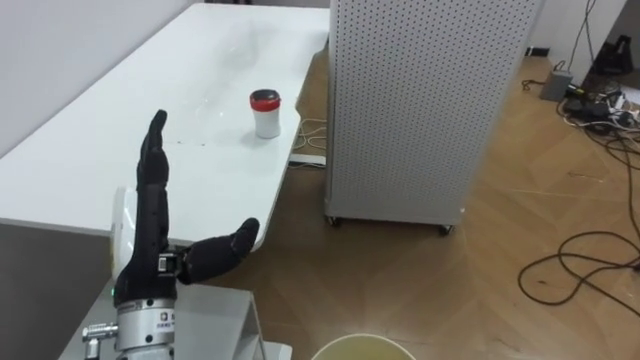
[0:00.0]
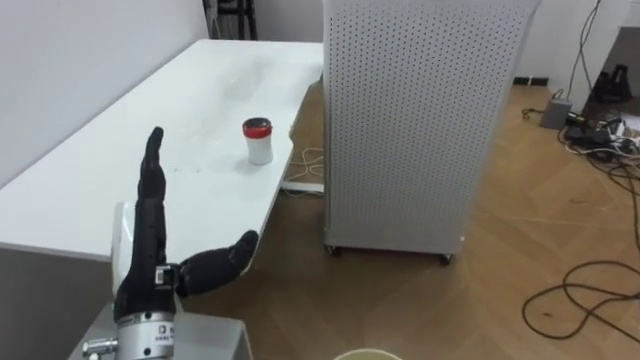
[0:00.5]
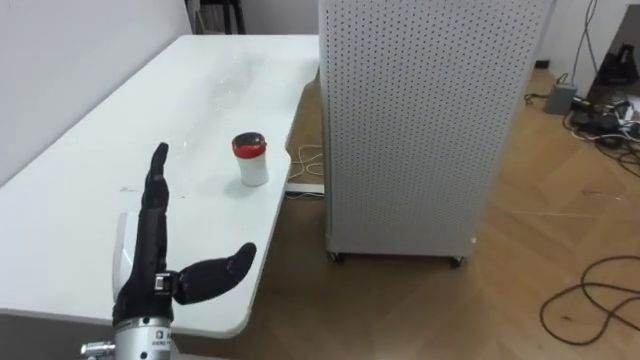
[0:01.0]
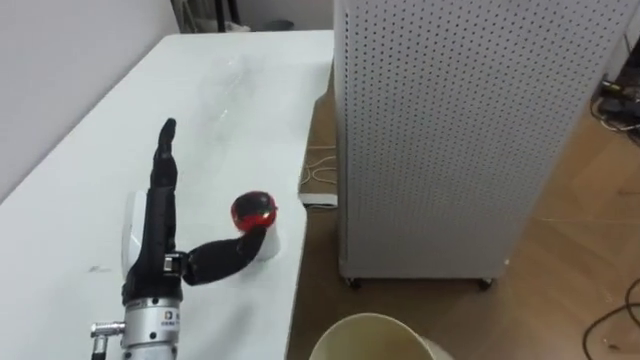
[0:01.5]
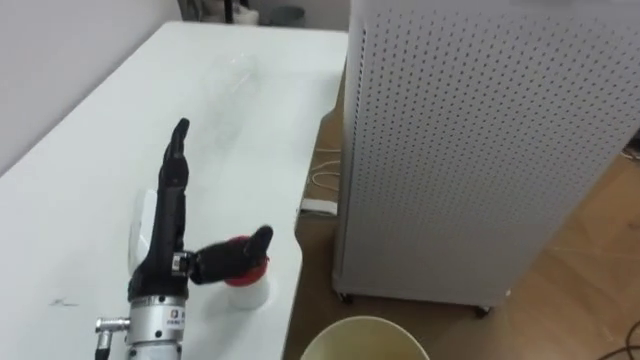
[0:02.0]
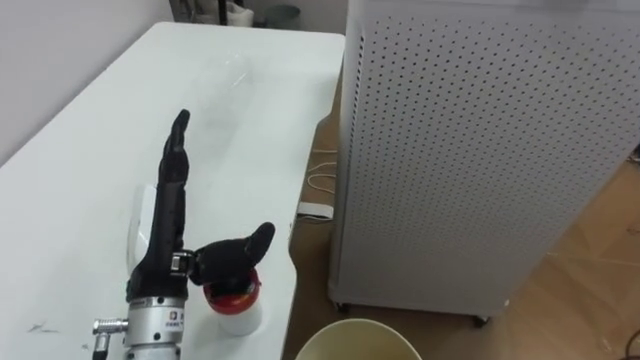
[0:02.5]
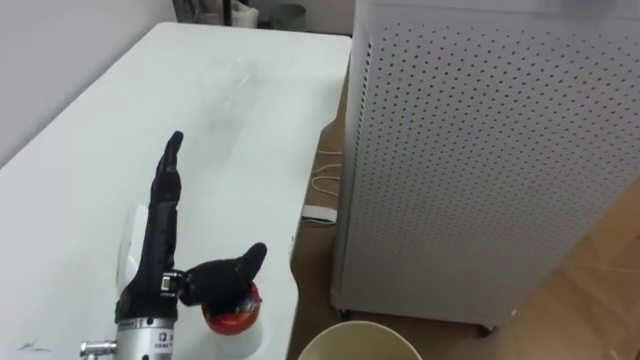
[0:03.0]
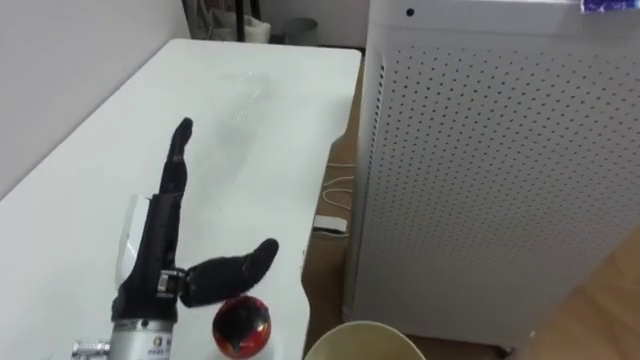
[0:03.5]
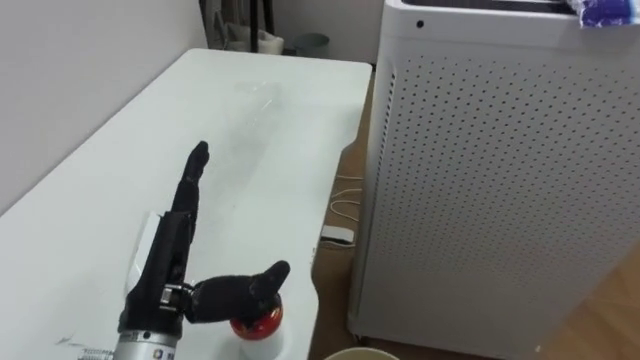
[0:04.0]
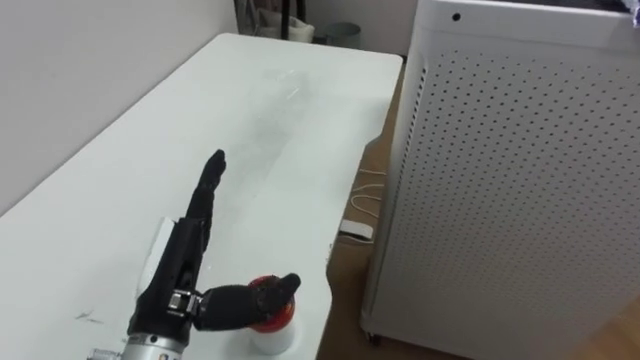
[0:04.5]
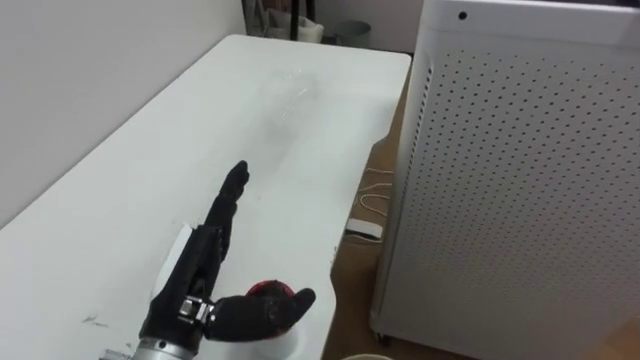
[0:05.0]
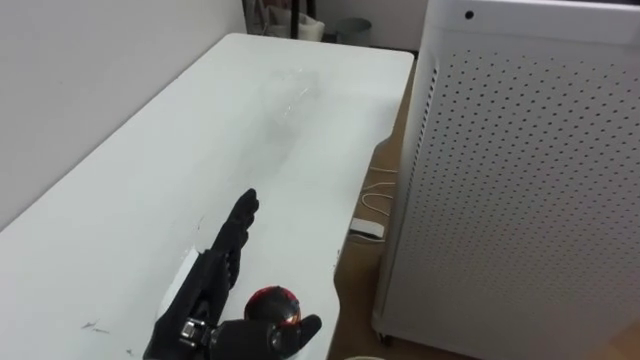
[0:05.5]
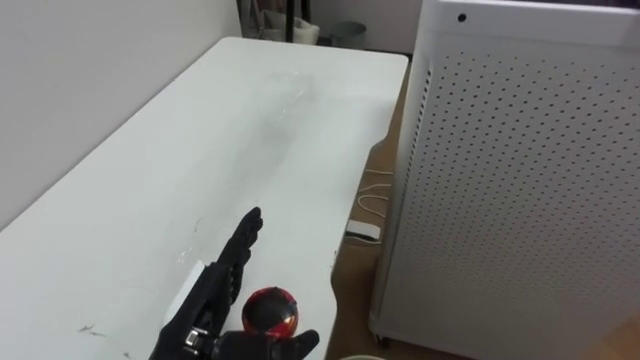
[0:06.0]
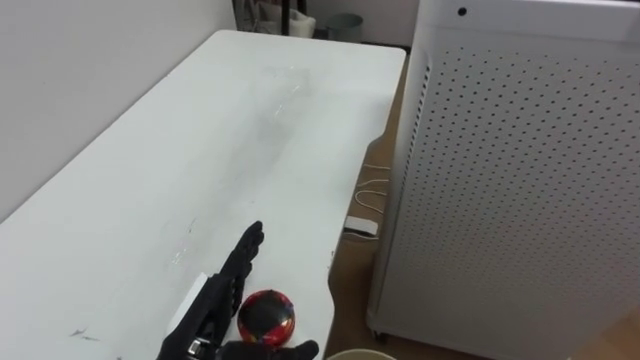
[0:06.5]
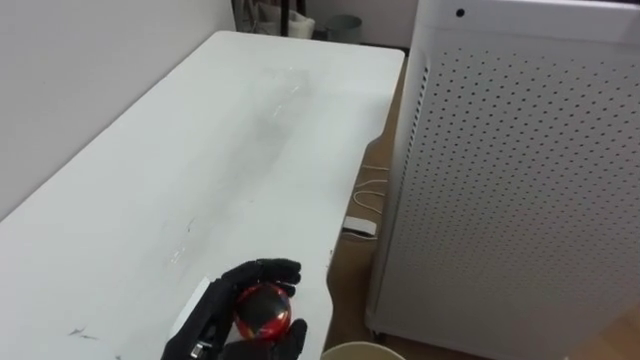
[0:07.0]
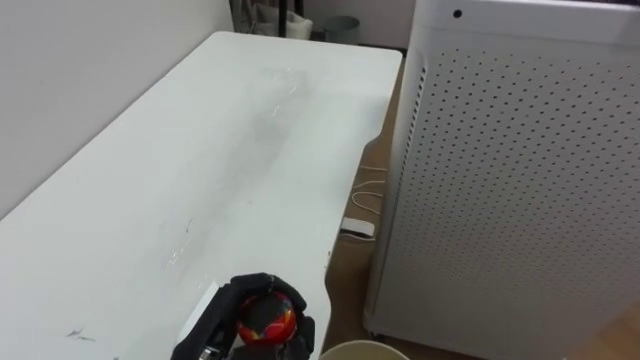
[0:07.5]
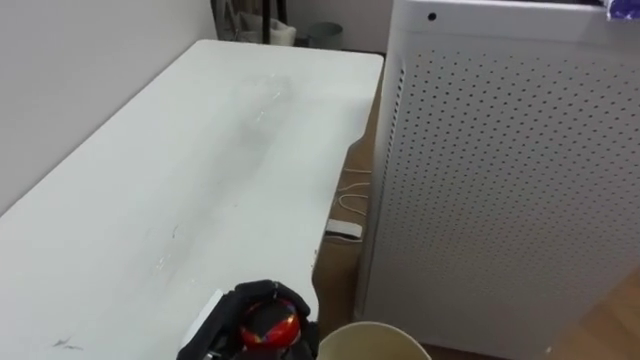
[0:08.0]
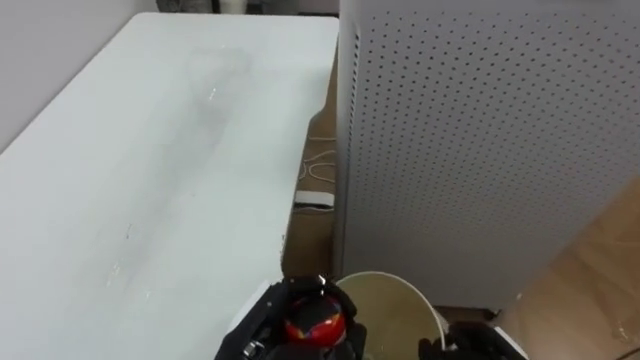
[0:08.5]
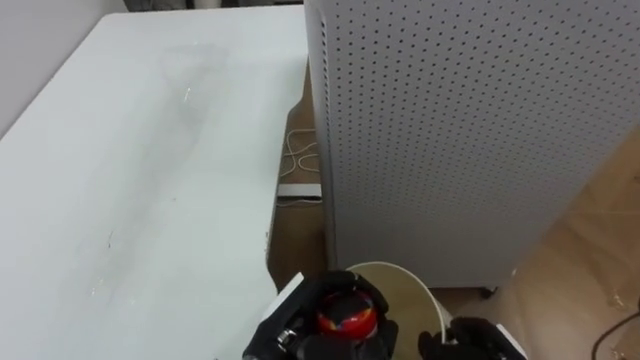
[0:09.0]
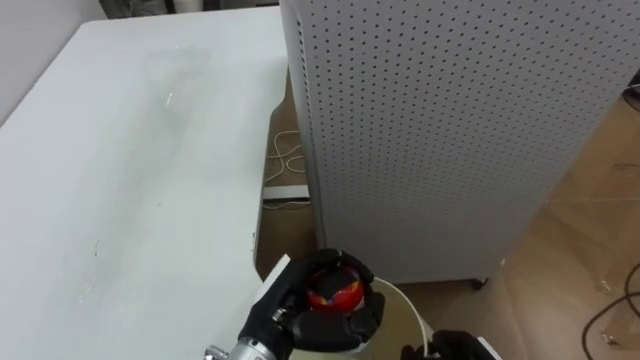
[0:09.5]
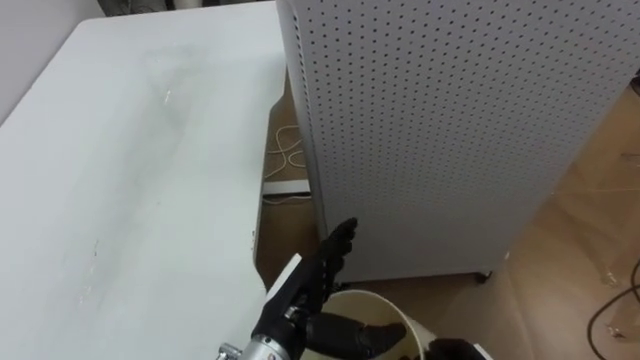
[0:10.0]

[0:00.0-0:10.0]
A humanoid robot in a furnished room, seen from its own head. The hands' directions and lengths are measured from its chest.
Task of the whole recording: Pick up the light blue package, the candy box, and the dark blue package separately, and put them into the trash can held in your right hand.
0:04.0 to 0:06.0: The left hand heads downward, covering about 5 cm.
0:06.0 to 0:08.0: The left hand closes.
0:08.0 to 0:10.0: The left hand moves to the right, some 10 cm, and opens up.

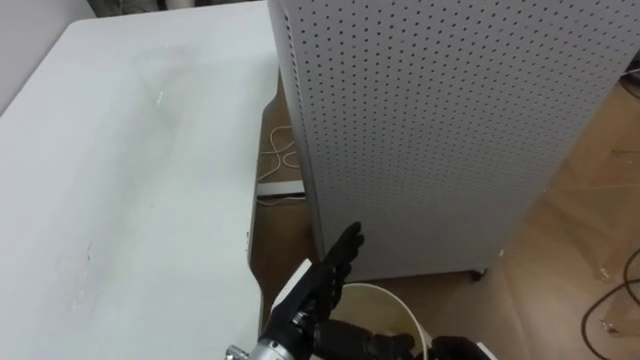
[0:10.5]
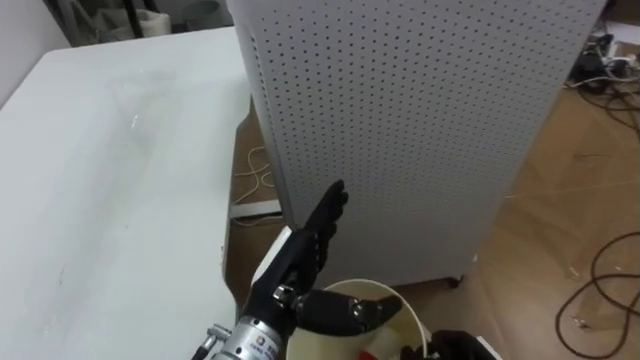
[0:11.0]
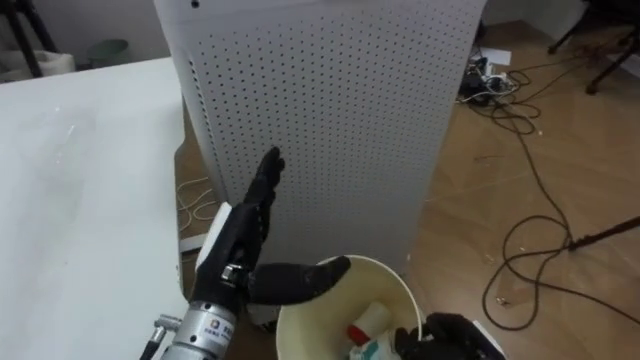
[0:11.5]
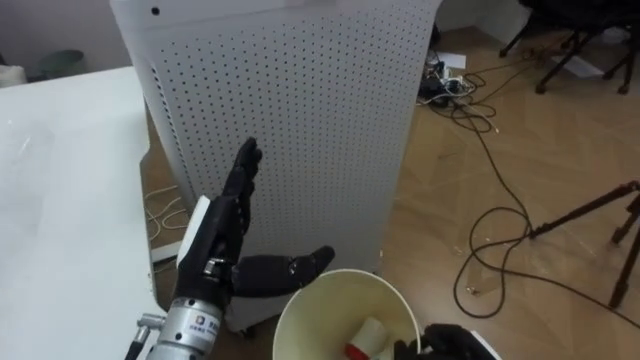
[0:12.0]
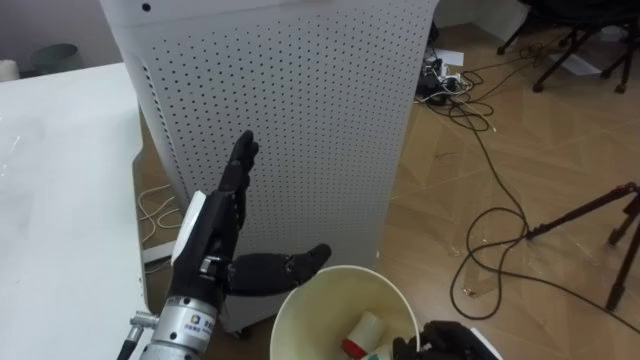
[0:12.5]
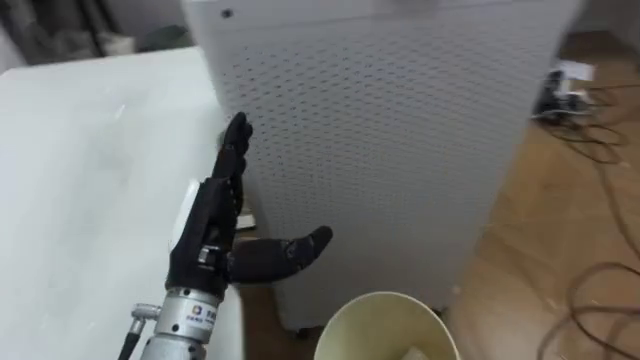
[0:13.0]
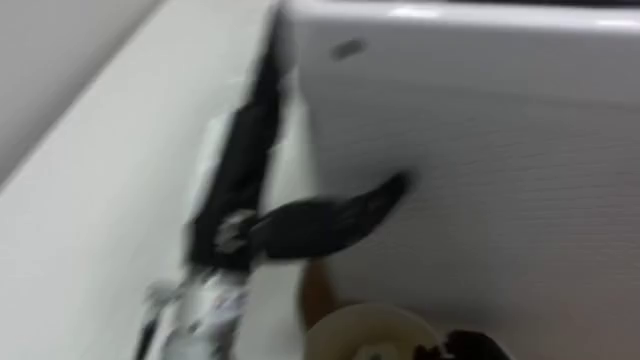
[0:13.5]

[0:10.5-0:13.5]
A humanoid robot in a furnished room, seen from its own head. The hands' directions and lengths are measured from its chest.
Task of the whole recording: Pick up the light blue package, the candy box, and the dark blue package separately, and put them into the trash can held in your right hand.
0:10.5 to 0:12.0: The robot faces approximately 30 degrees further to its right. The left hand shifts about 15 cm to the left and upward.
0:12.0 to 0:13.5: The left hand shifts about 15 cm upward and to the right.

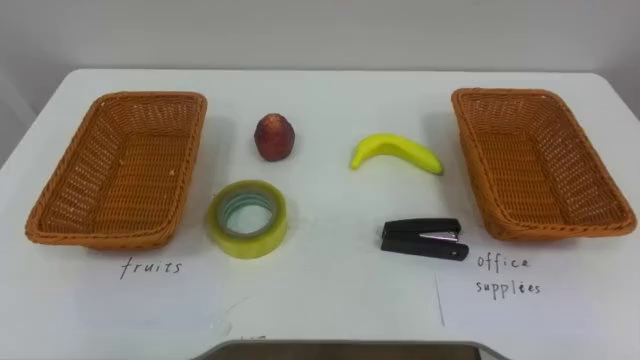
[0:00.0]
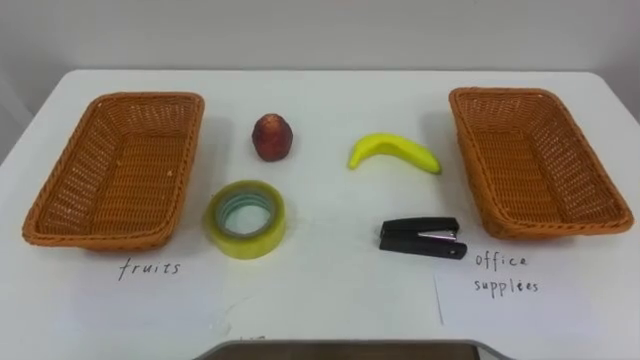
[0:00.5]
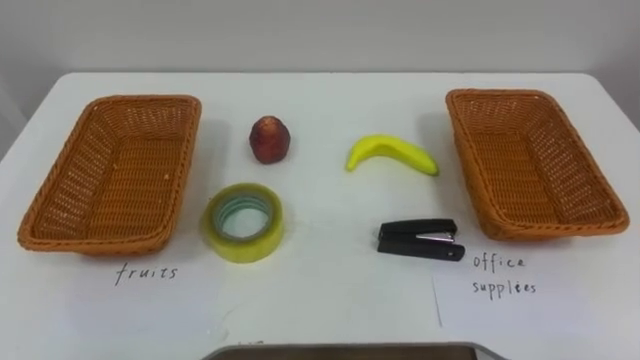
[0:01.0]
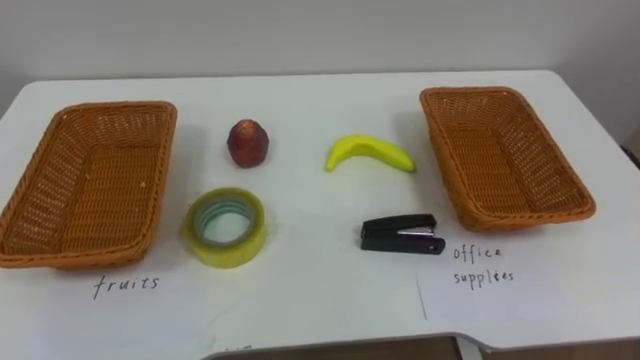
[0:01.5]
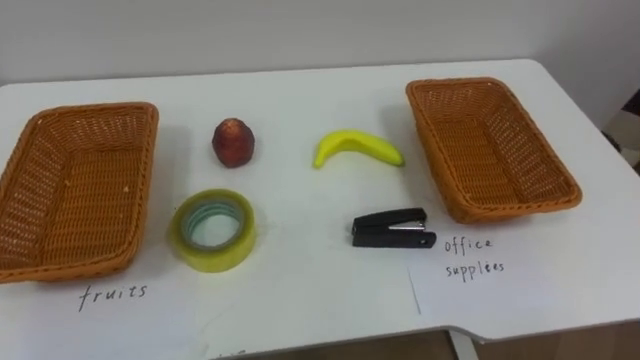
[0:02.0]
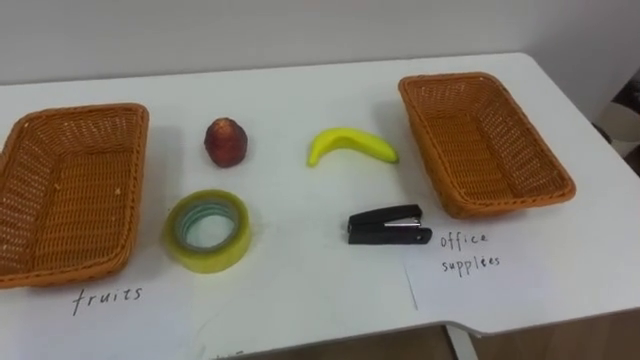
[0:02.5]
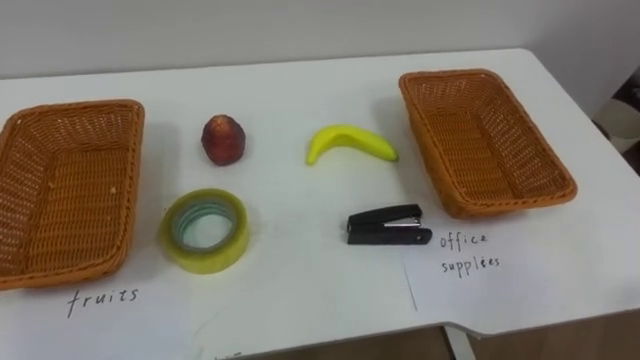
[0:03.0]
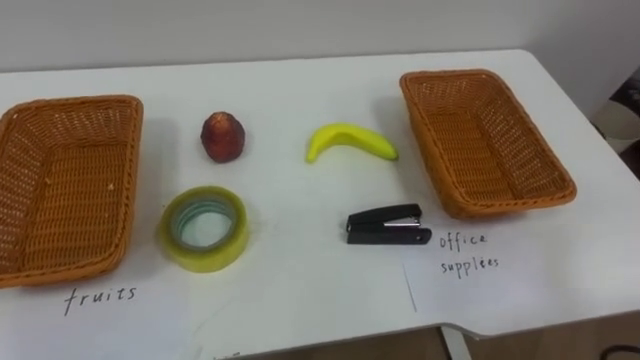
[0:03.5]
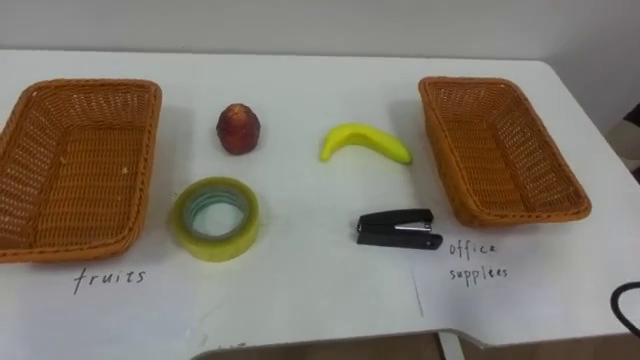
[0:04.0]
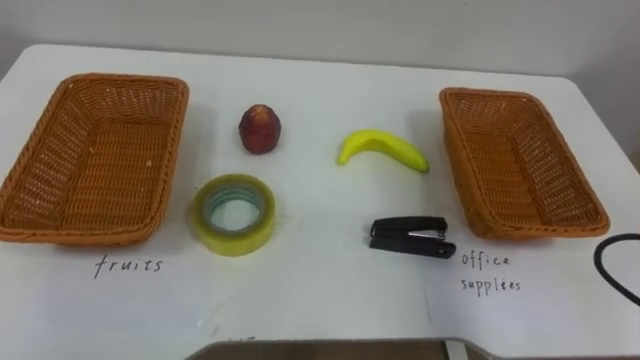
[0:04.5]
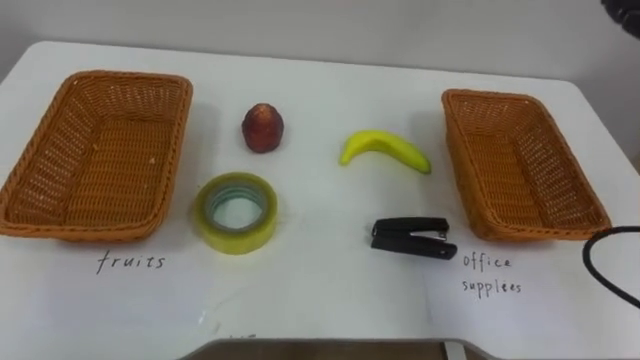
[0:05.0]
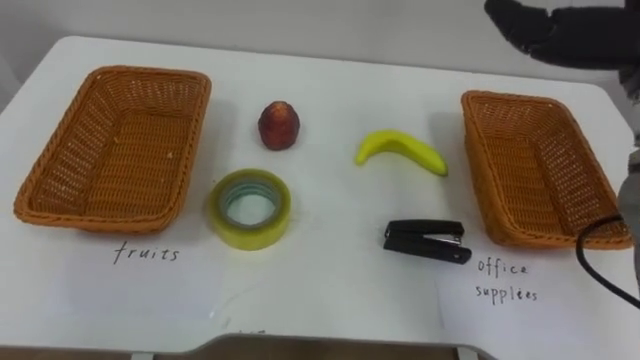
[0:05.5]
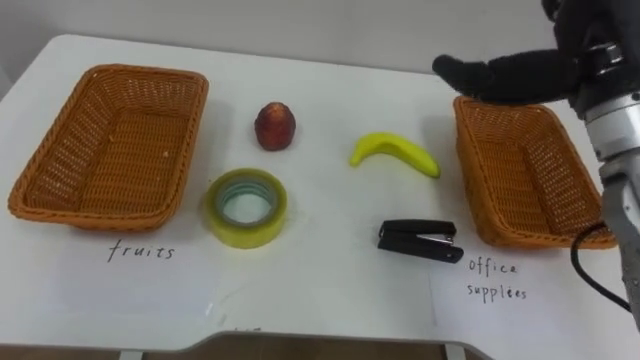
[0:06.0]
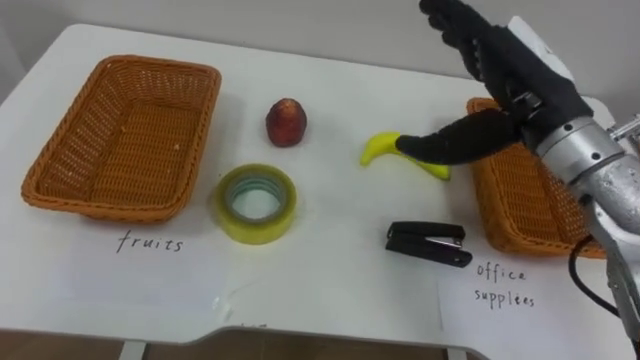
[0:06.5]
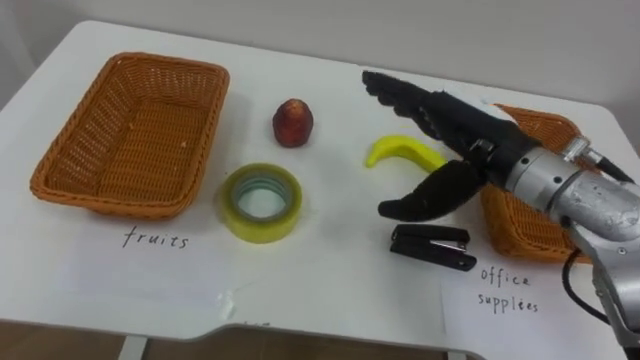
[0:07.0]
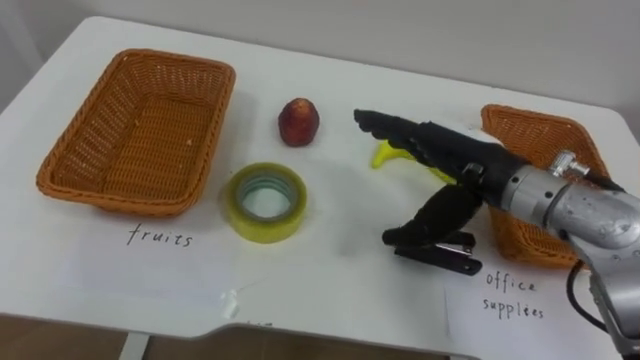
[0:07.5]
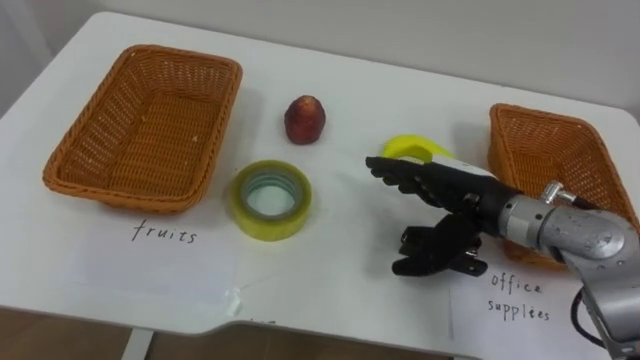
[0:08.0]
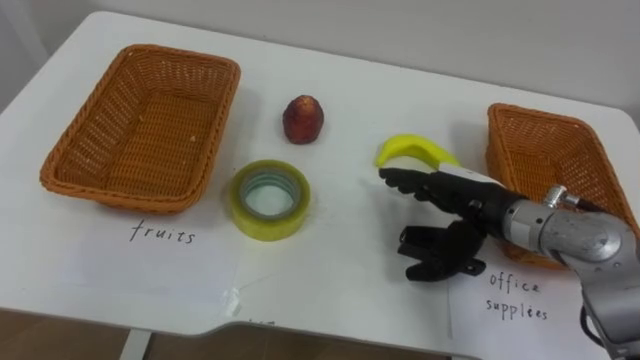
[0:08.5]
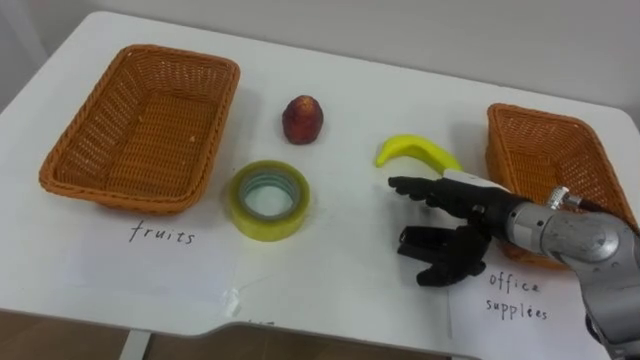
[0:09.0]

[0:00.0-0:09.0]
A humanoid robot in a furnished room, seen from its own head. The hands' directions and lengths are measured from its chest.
Task of the whole recording: Separate the items on the table and place them into the two baskets.
0:07.0 to 0:09.0: The right hand goes approximately 10 cm downward.
